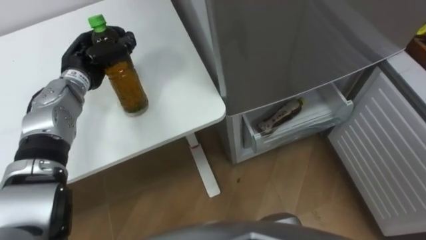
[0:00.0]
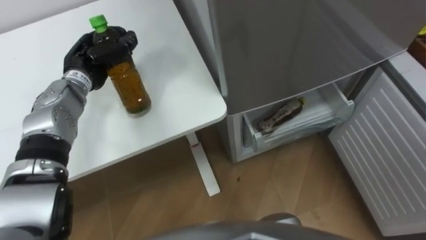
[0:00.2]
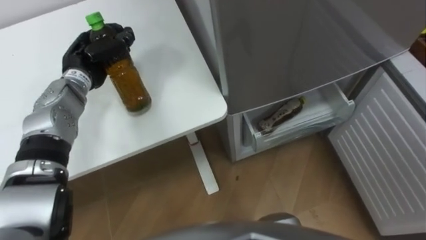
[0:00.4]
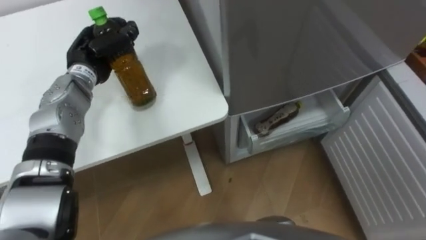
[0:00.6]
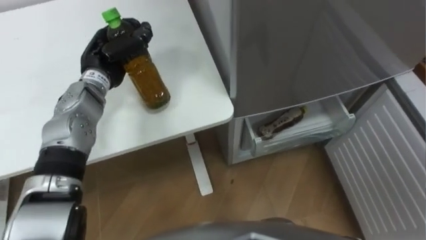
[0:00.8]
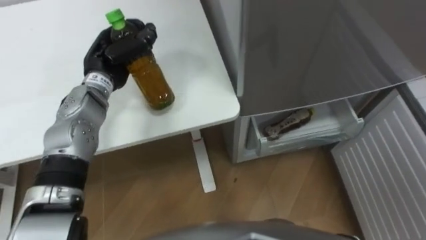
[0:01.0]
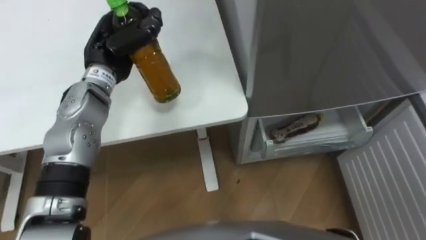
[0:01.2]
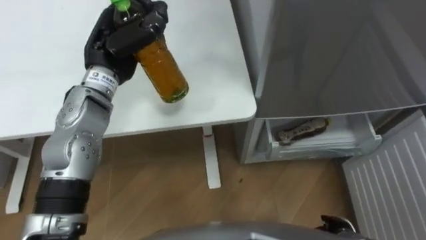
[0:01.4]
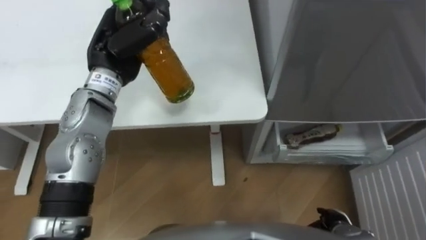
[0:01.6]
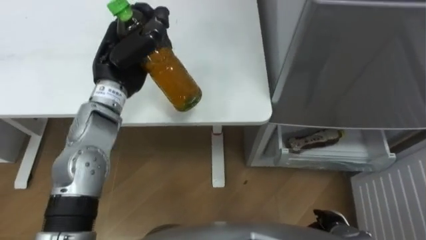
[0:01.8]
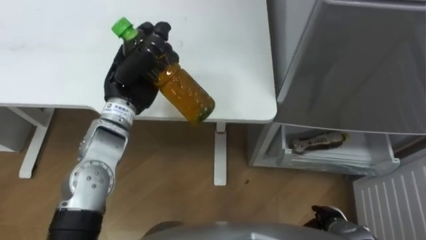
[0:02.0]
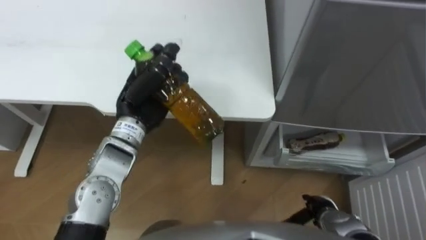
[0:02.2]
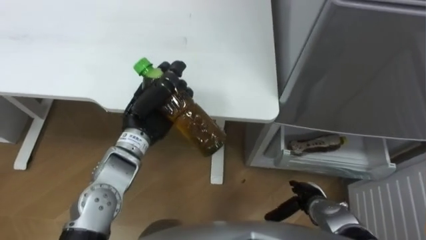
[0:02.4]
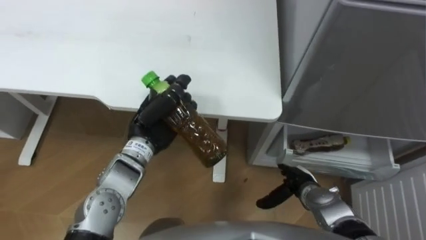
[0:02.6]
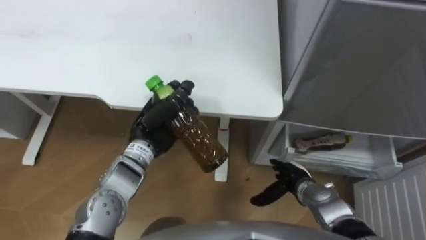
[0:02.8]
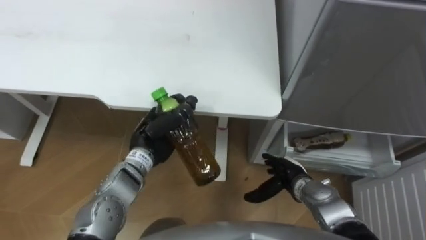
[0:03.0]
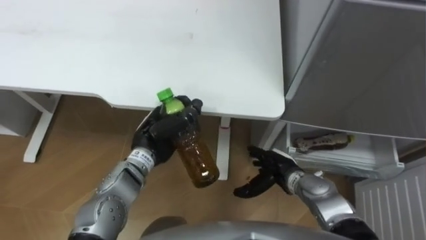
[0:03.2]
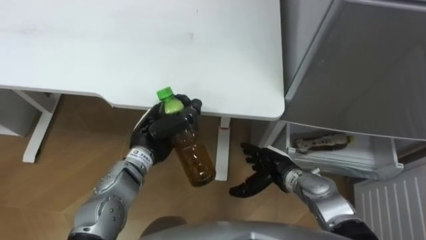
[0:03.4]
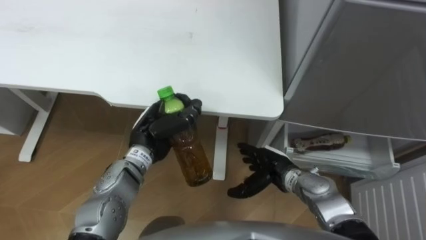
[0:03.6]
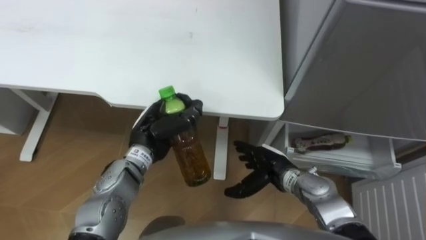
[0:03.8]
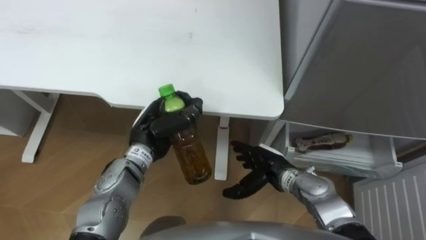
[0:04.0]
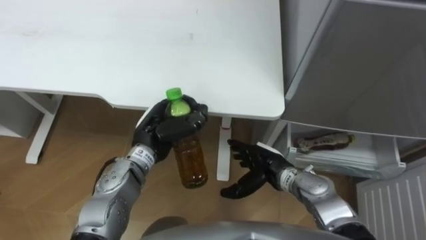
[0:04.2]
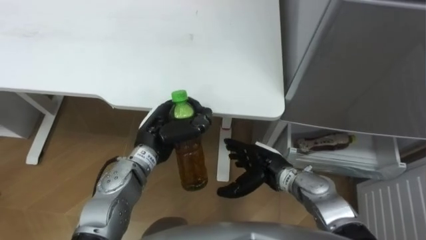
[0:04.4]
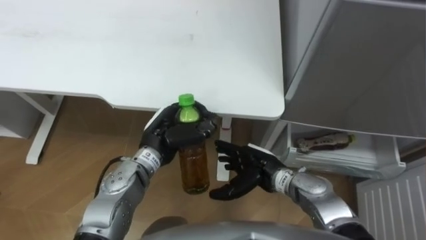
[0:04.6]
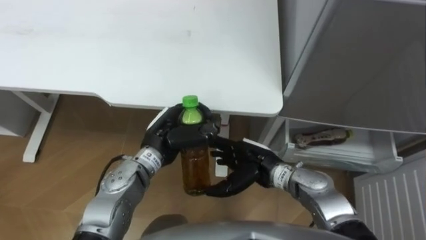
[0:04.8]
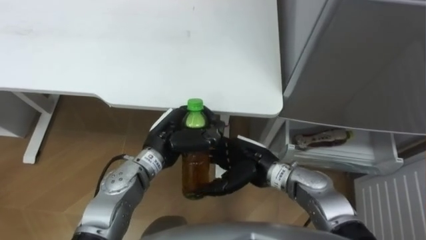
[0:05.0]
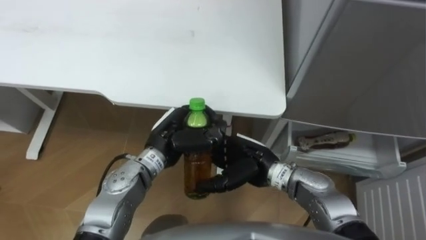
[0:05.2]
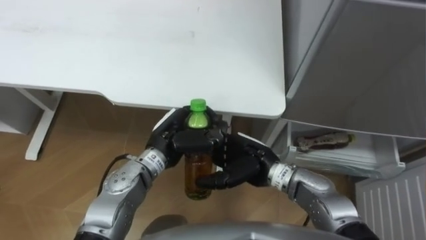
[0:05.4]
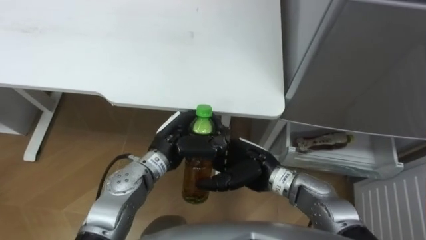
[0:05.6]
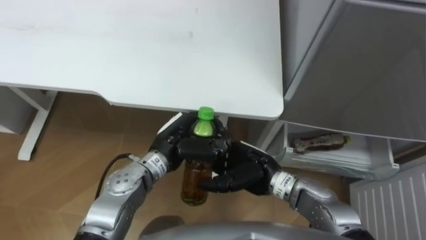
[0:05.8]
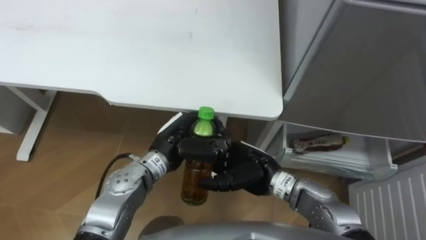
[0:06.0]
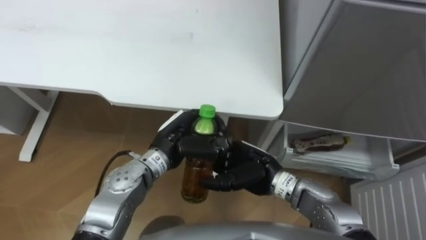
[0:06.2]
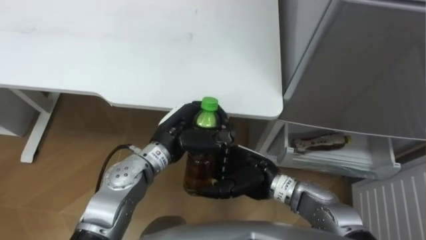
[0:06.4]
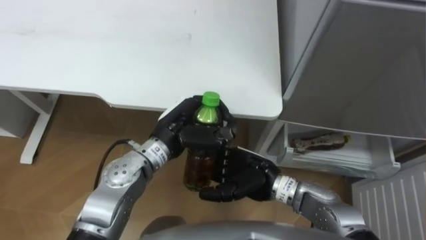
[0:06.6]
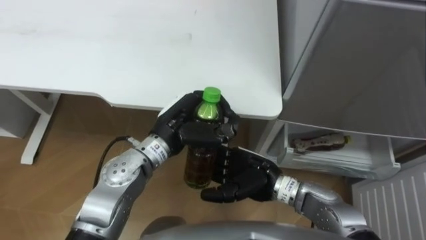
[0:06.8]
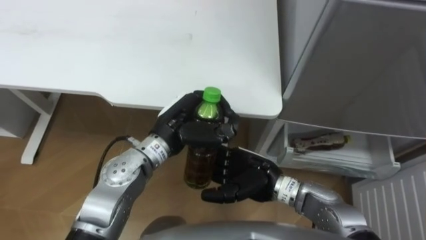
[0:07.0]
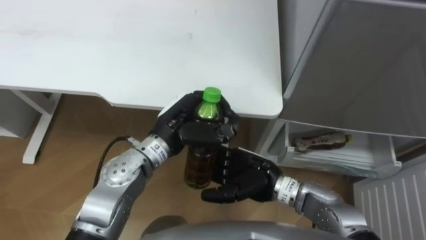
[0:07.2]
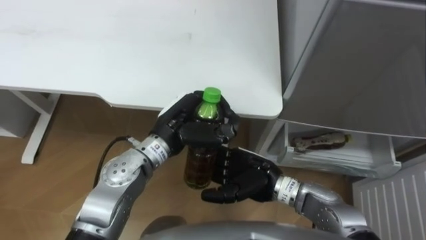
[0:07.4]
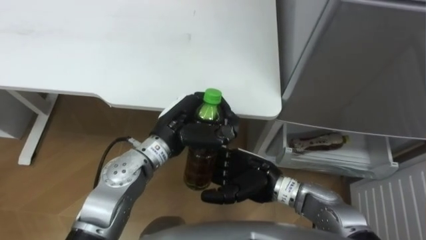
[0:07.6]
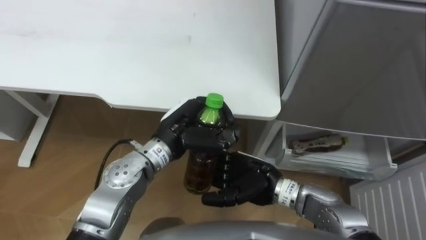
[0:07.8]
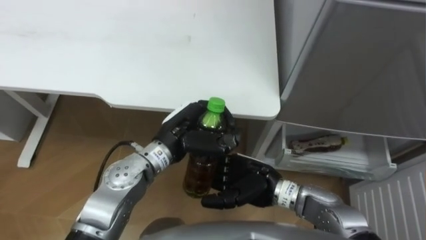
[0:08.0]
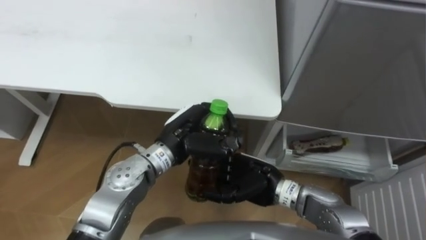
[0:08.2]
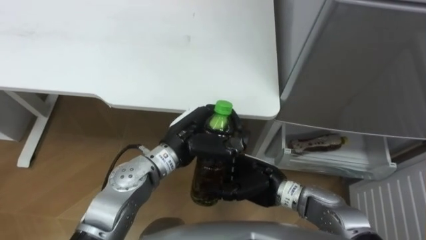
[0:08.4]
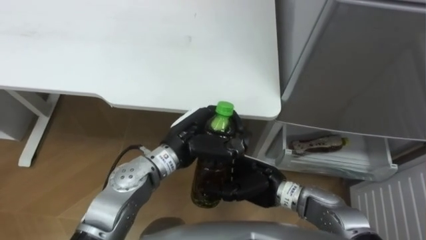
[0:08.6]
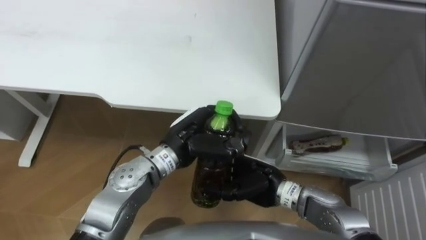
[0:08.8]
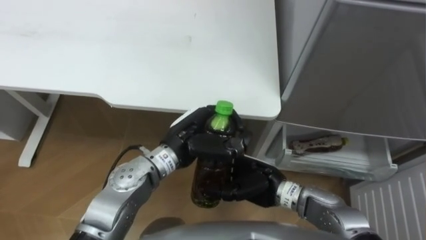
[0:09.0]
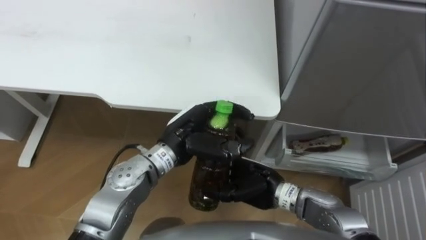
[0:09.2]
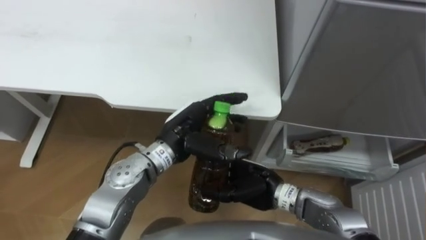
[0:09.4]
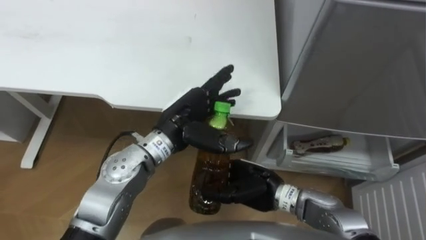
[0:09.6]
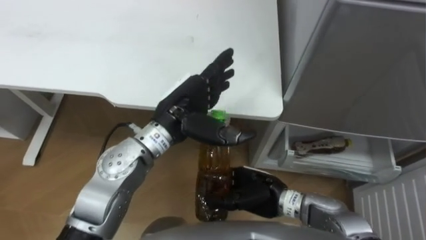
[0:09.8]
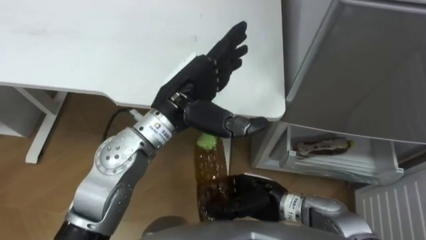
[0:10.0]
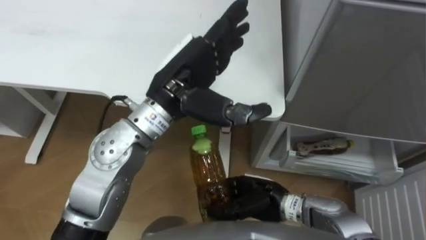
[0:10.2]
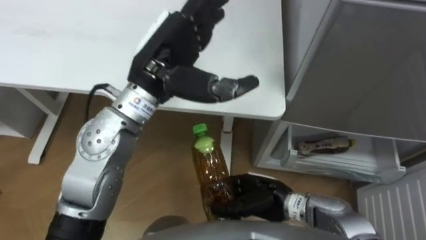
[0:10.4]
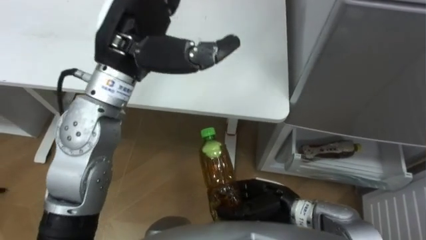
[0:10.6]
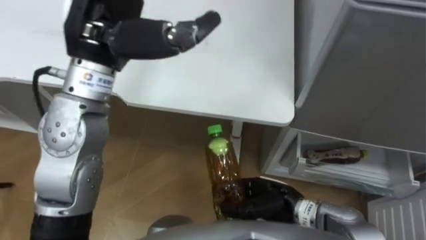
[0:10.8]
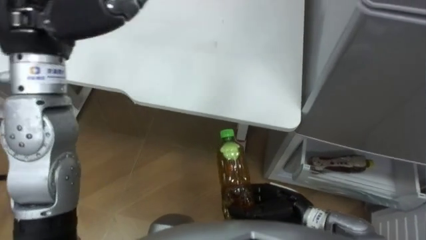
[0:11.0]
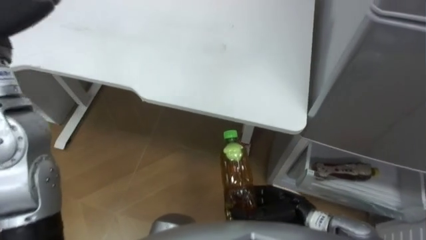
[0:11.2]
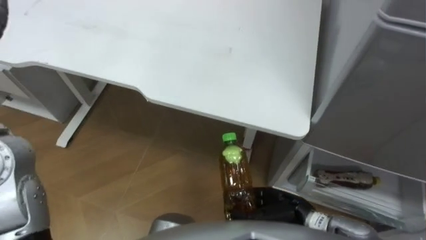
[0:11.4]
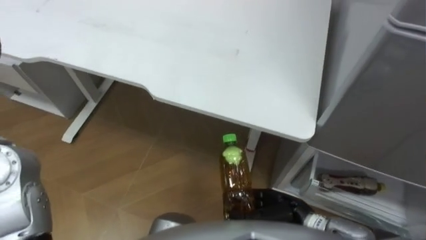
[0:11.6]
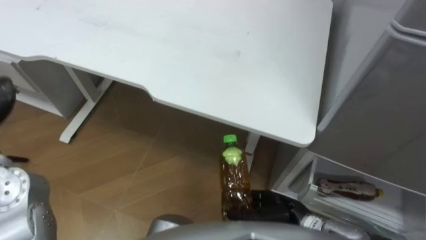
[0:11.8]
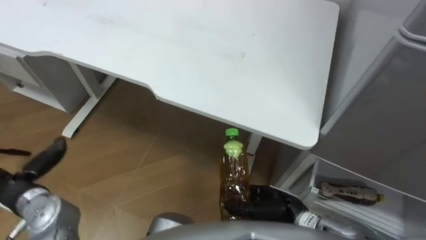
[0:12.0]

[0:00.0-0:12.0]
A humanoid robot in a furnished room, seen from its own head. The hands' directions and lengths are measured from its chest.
Task of the whole recording: Place the drink on the table on the bottom shelf of the refrigerator, then close the drawer and the refrigerator door.
0:00.0 to 0:01.6: The left hand shifts about 10 cm upward and to the right.
0:01.6 to 0:03.0: The left hand is displaced downward and backward by some 15 cm, while the right hand heads forward and to the left, covering roughly 15 cm.
0:03.0 to 0:04.4: The right hand moves to the left and upward, roughly 10 cm.
0:04.4 to 0:06.0: The right hand ends up roughly 5 cm from where it was.
0:06.0 to 0:07.6: The left hand ends up about 5 cm from where it was.
0:07.6 to 0:09.0: The right hand closes up.
0:09.0 to 0:10.4: The left hand travels upward by some 15 cm, and opens its fingers.
0:10.4 to 0:12.0: The right hand moves approximately 5 cm.

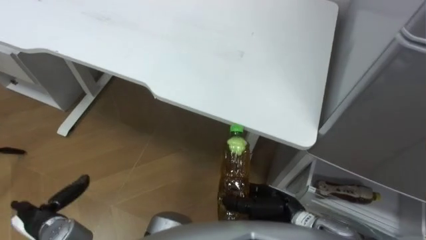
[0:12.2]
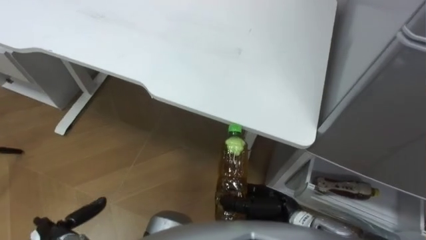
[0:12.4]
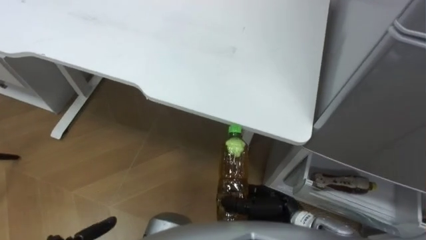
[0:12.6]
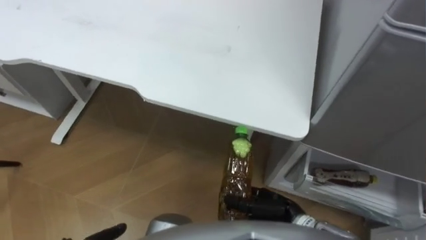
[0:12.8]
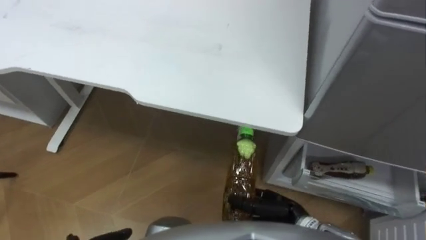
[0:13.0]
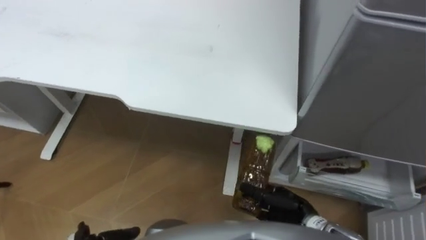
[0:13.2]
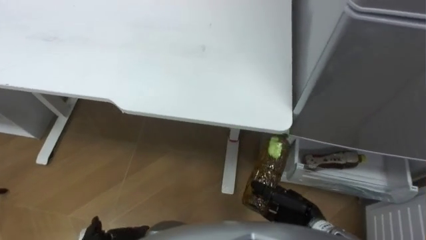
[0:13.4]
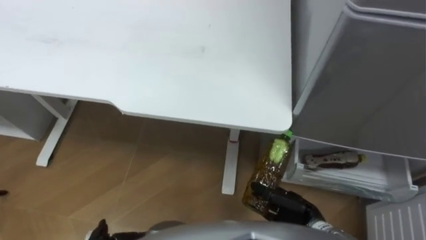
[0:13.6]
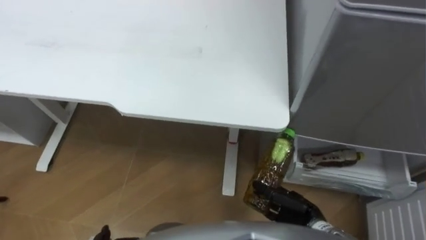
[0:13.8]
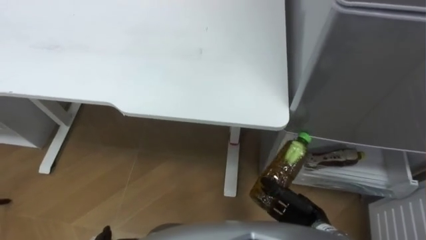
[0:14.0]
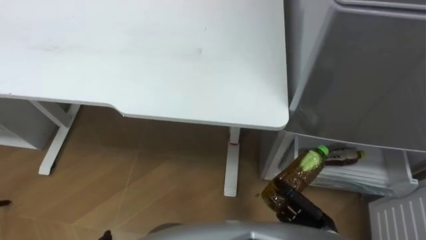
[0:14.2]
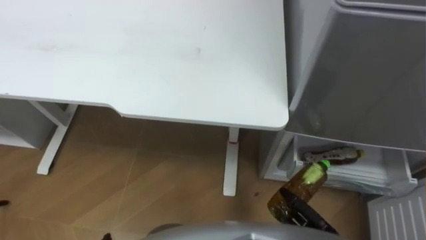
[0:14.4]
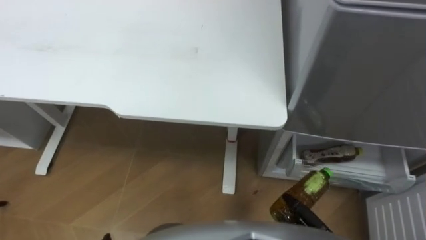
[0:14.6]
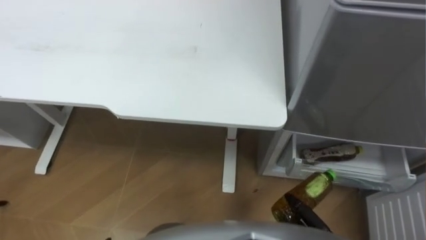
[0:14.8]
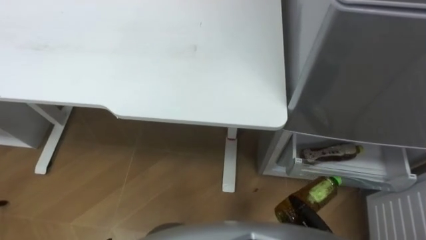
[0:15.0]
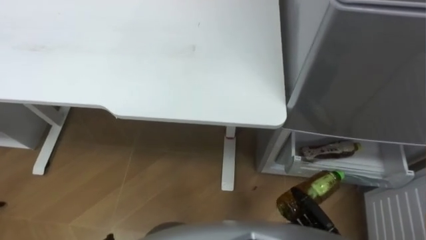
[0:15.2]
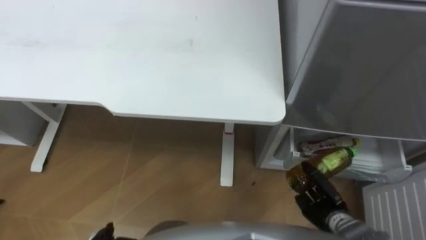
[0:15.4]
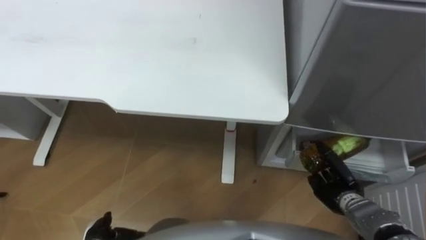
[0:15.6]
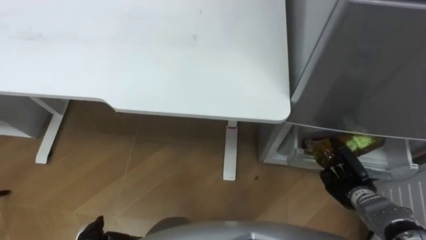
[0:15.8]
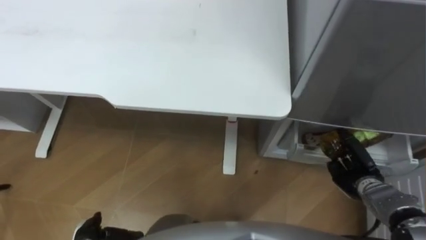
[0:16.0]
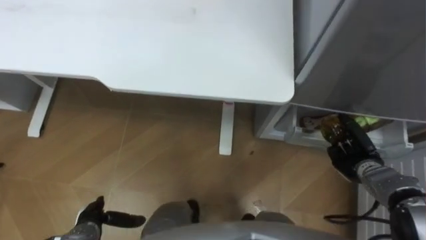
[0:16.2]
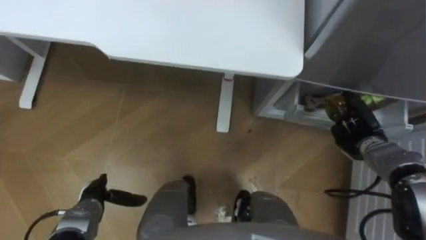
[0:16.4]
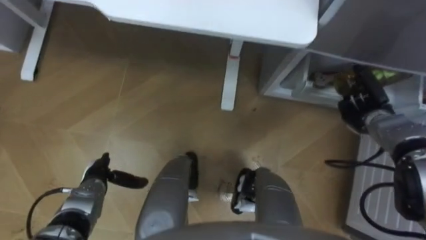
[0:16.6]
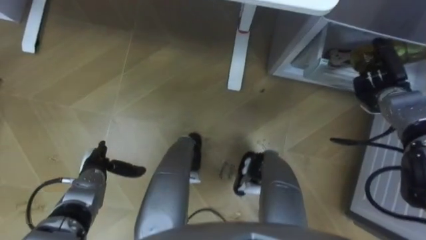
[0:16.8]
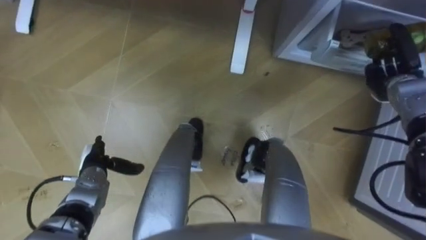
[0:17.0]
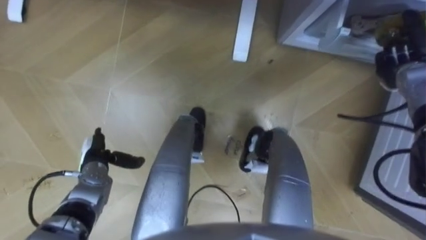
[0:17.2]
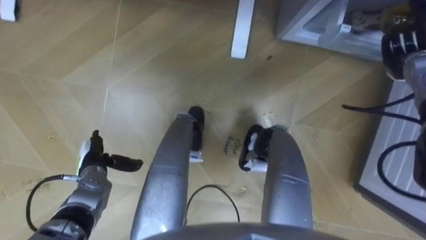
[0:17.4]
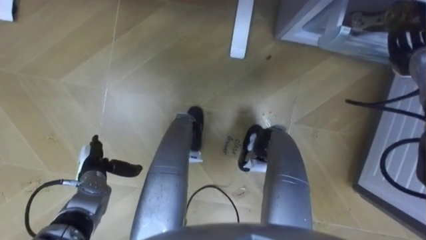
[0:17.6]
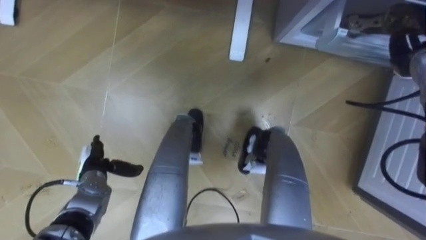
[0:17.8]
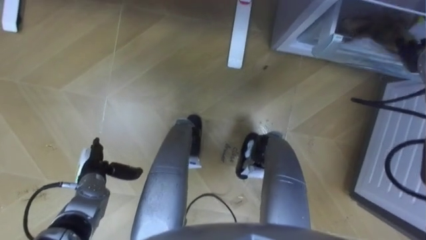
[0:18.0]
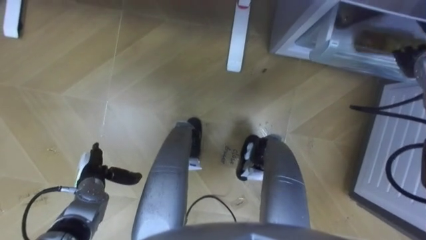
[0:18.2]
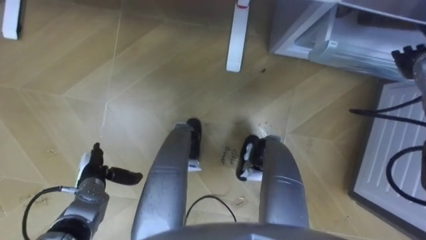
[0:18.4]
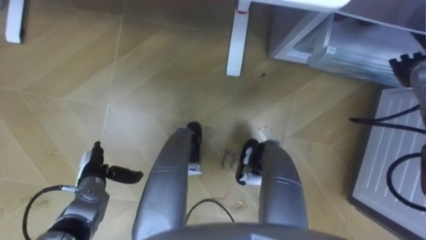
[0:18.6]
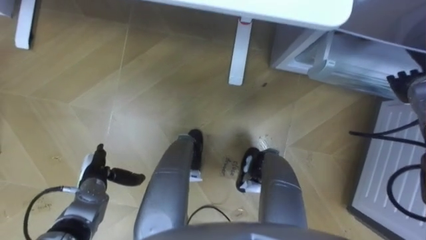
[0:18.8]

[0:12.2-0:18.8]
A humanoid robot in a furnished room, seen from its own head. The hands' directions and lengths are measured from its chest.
Task of the whole recording: Place the drink on the table on the bottom shelf of the refrigerator, then close the drawer and the refrigerator door.
0:12.2 to 0:13.8: The right hand moves to the right, approximately 5 cm.
0:15.4 to 0:17.2: The right hand is displaced forward, upward and to the right by some 35 cm.
0:17.2 to 0:18.8: The right hand opens its fingers.
